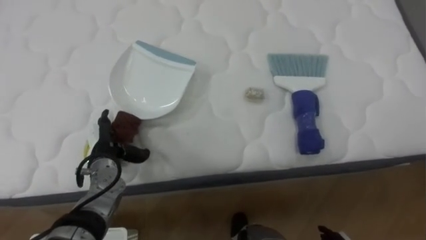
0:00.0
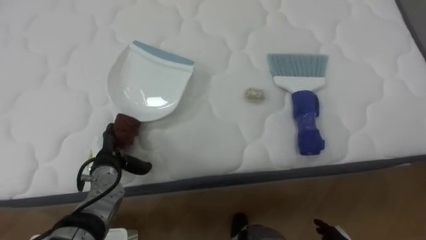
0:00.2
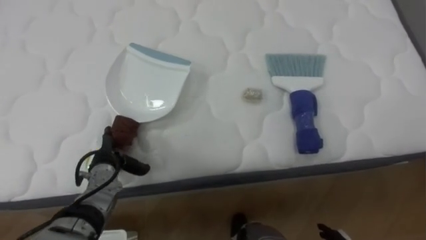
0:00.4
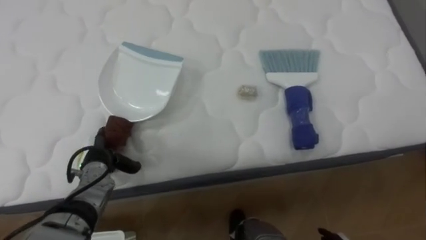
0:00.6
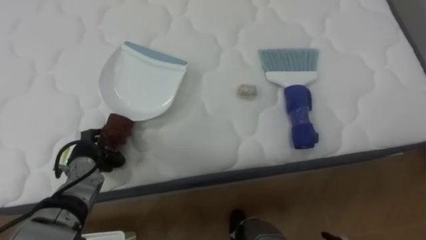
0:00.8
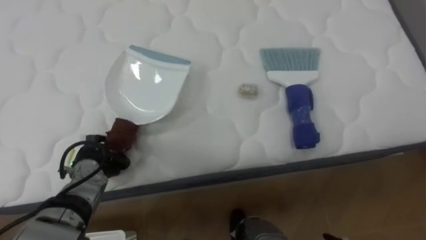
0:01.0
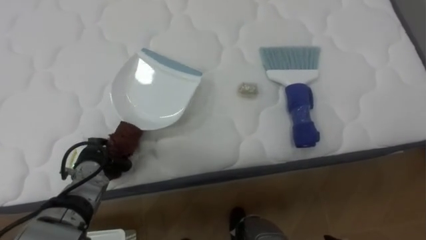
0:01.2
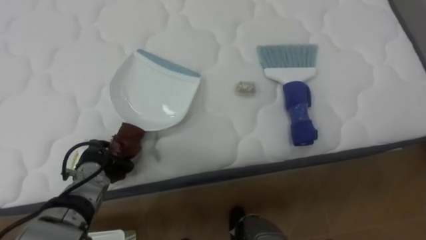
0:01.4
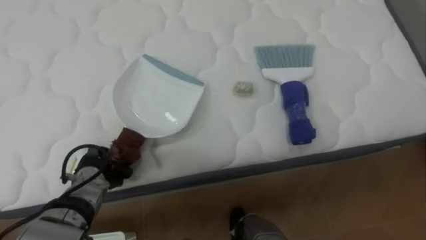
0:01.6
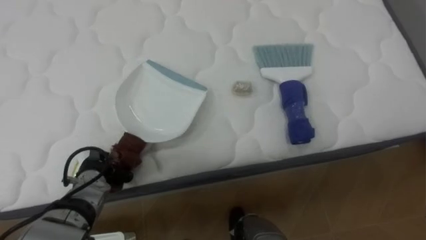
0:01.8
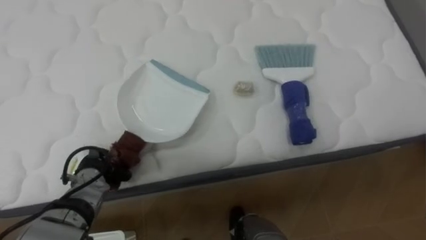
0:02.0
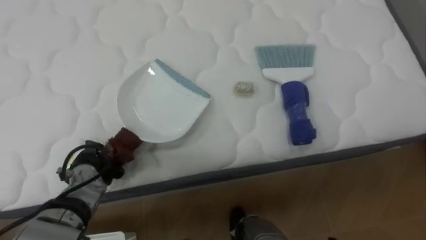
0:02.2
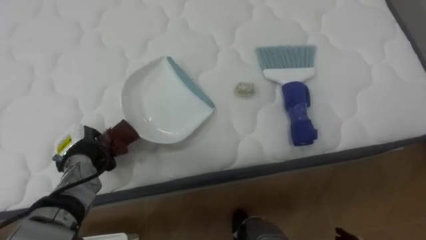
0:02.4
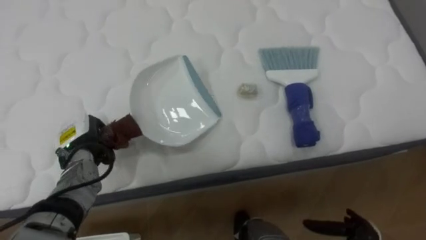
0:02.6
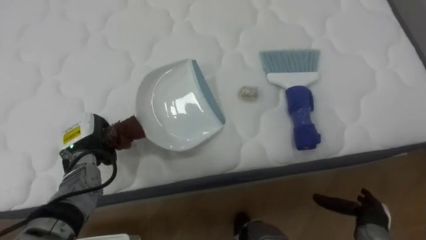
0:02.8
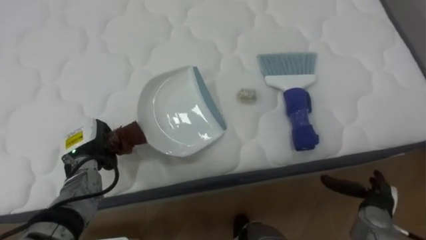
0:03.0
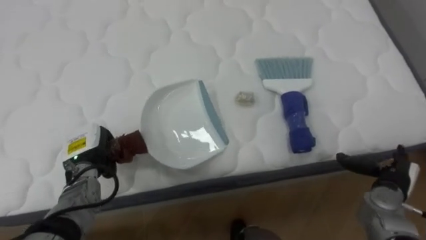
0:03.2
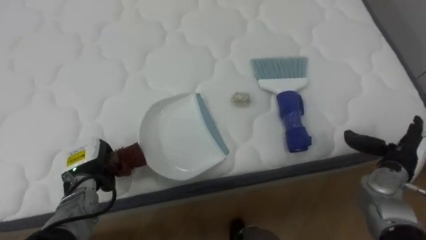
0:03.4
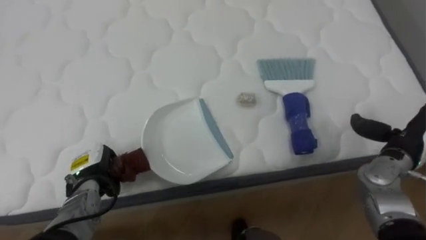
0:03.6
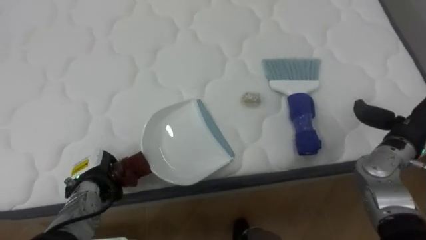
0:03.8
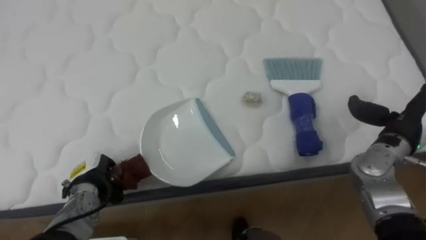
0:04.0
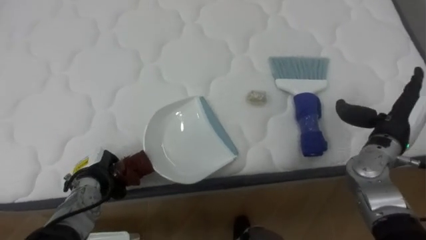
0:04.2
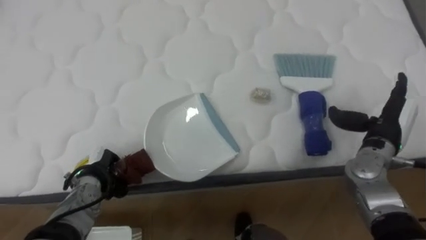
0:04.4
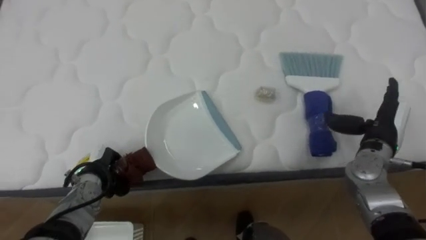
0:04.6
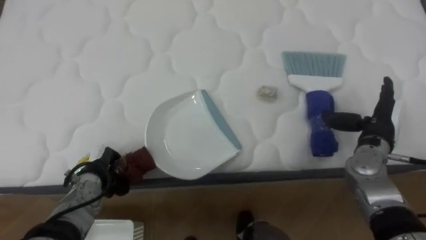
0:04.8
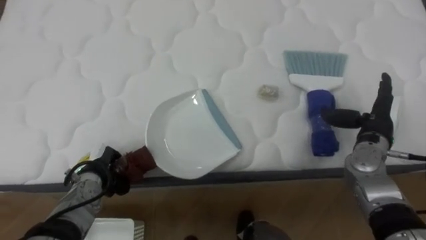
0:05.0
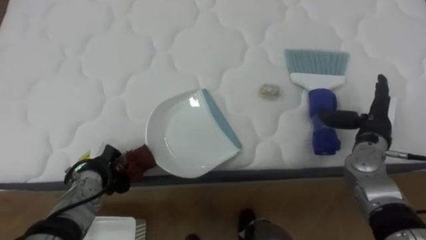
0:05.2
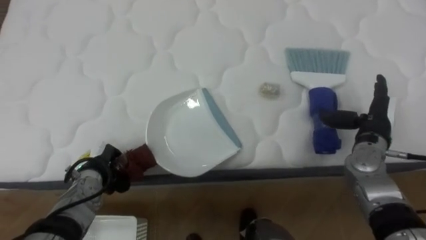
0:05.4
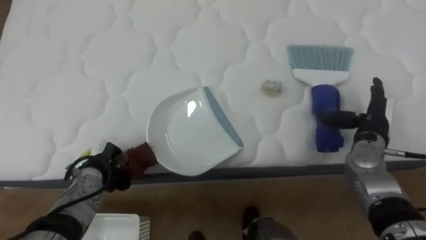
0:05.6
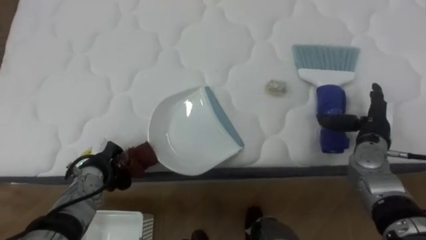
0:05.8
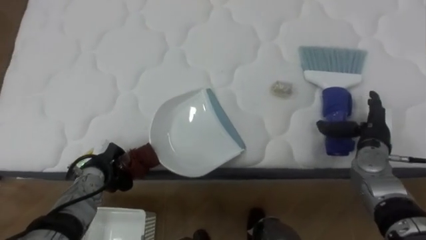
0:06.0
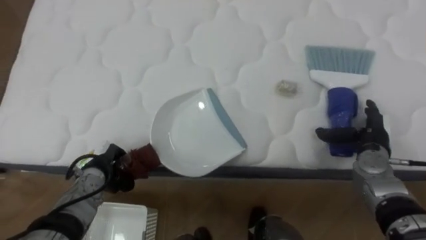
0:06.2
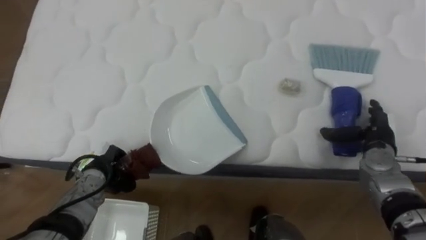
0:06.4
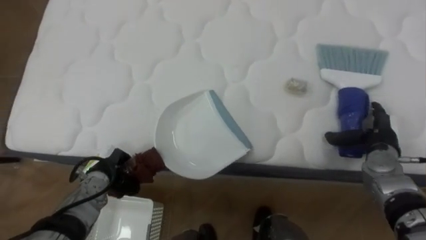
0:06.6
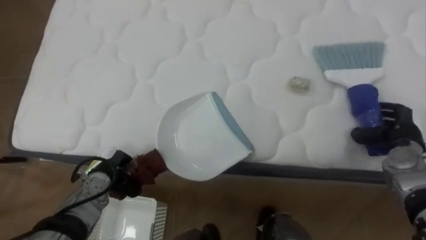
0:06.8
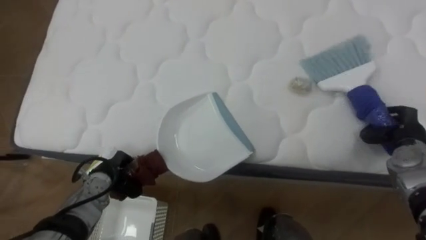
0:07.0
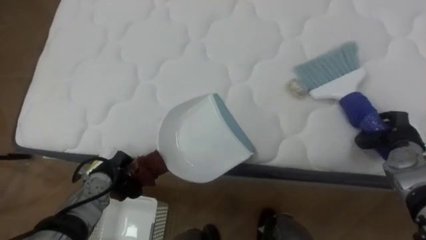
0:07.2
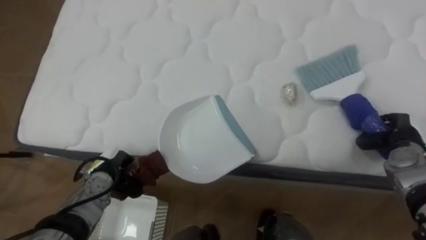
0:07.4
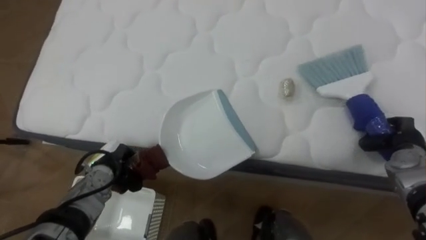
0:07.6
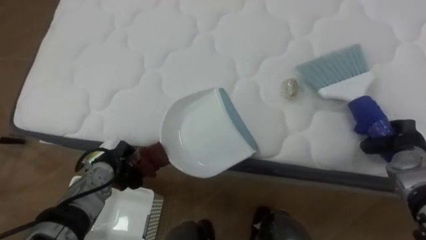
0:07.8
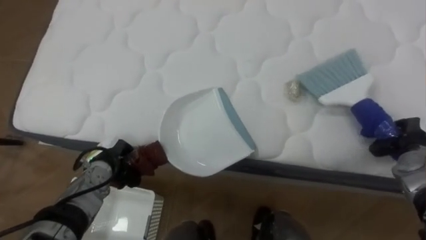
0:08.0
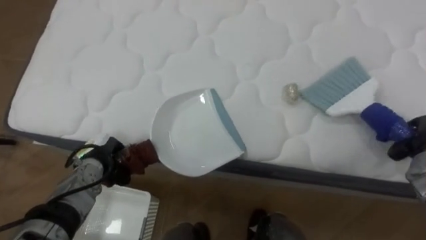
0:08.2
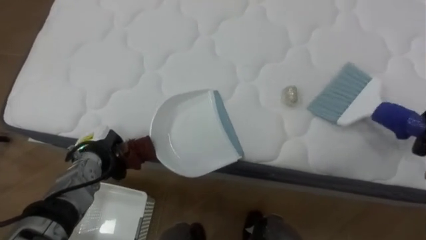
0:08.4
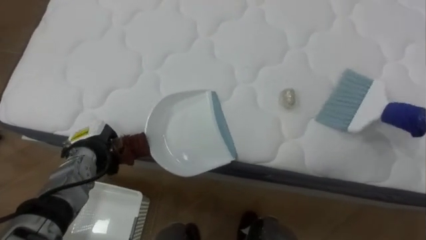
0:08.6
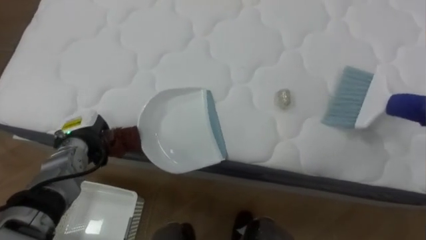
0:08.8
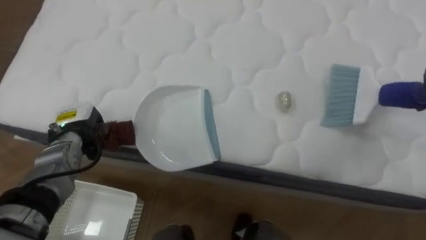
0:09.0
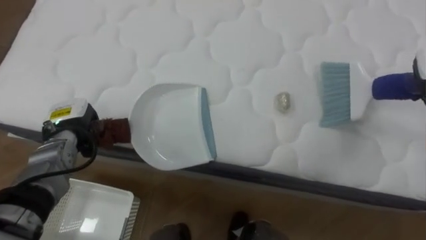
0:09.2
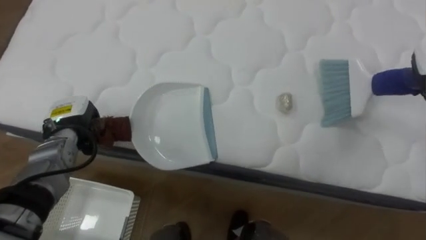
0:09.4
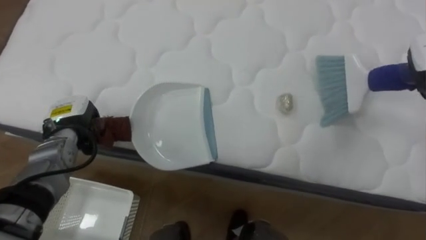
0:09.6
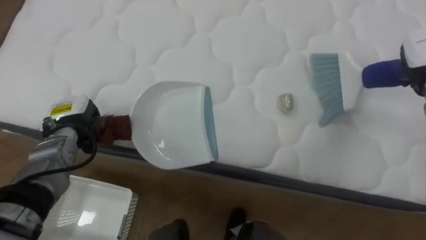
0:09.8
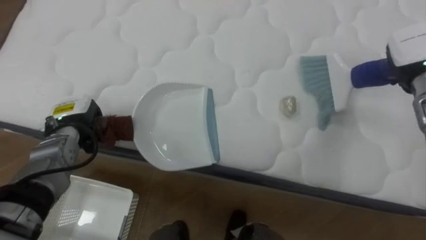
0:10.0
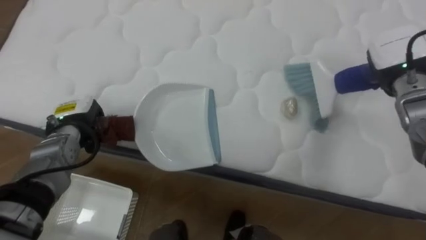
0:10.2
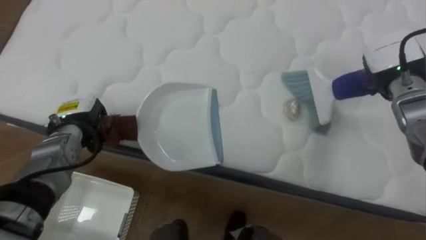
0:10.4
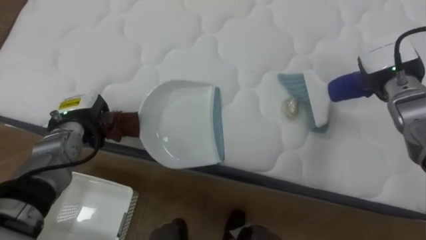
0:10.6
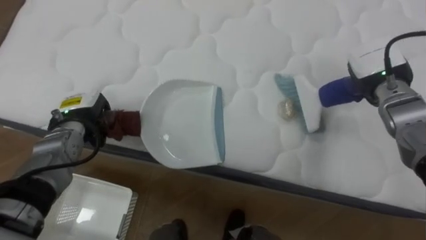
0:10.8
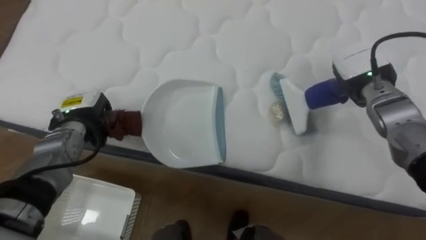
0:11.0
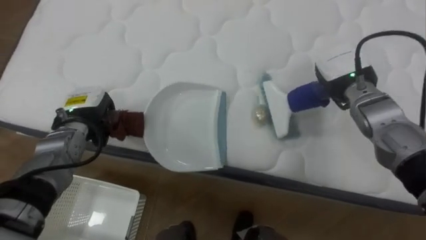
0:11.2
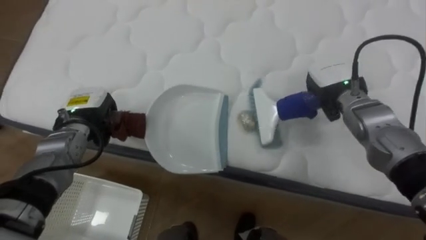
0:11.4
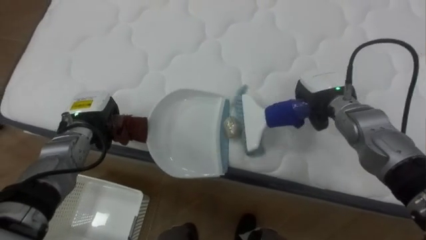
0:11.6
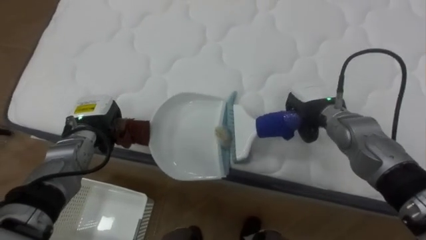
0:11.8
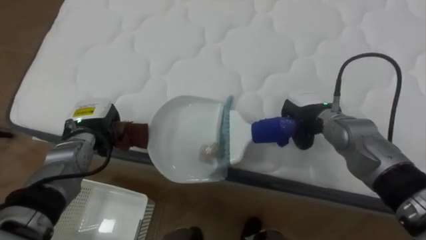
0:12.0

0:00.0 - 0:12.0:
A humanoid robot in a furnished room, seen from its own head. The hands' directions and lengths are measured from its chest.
Task of the whole recording: Pick up the brush on your right and the dustpan on your left. Use the brush to sweep the crumpled paper on the bed into the dustpan, then turn left and empty it into the basket.
0:00.0 - 0:01.6: The left hand shifts by roughly 5 cm, and closes its fingers.
0:01.6 - 0:03.0: The left hand changes place by some 5 cm.
0:03.0 - 0:04.4: The left hand travels downward by some 5 cm. Meanwhile the right hand heads upward and forward, covering roughly 15 cm.
0:06.0 - 0:07.6: The right hand travels to the right by roughly 5 cm, and closes its fingers.
0:07.6 - 0:09.0: The left hand heads upward and to the left, covering roughly 10 cm.
0:10.4 - 0:12.0: The right hand heads to the left and downward, covering about 15 cm.

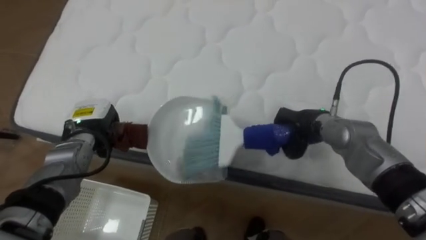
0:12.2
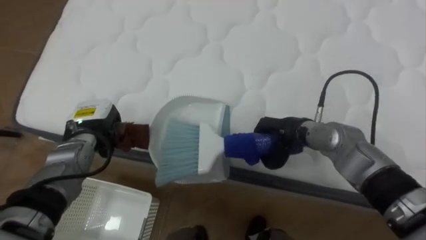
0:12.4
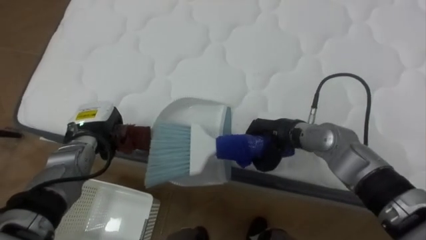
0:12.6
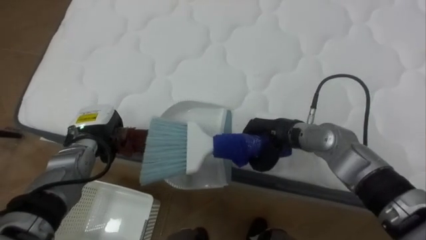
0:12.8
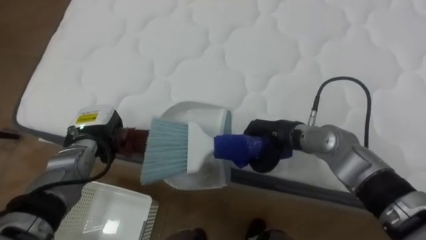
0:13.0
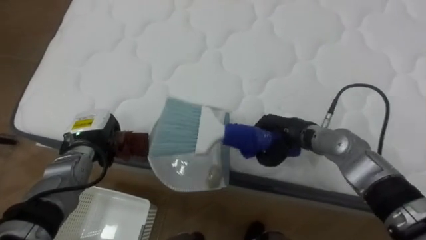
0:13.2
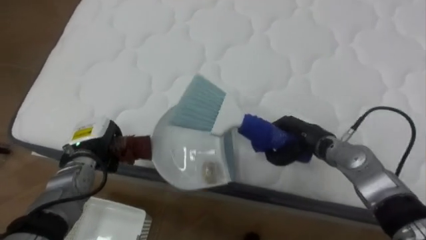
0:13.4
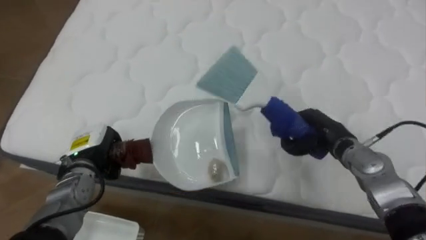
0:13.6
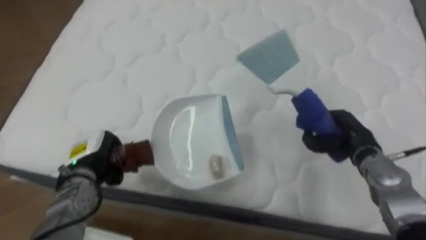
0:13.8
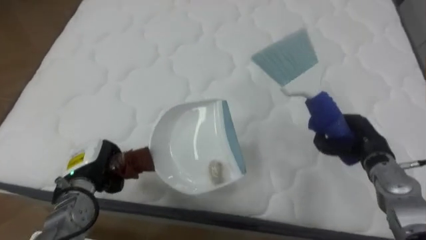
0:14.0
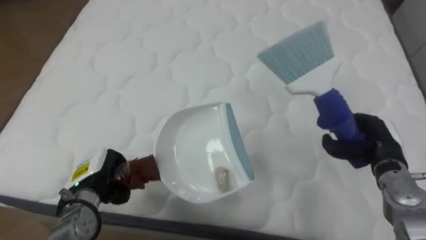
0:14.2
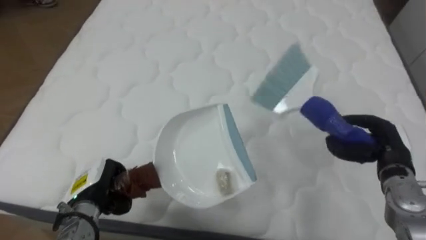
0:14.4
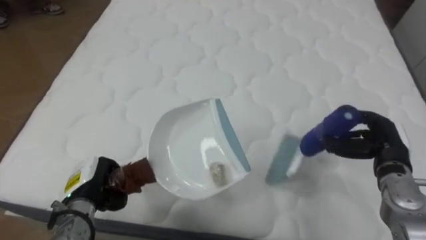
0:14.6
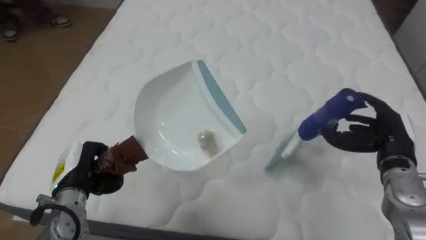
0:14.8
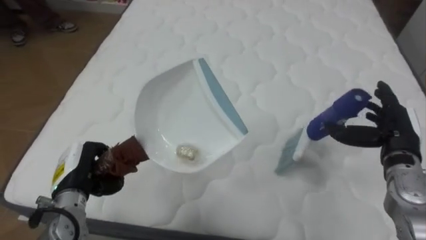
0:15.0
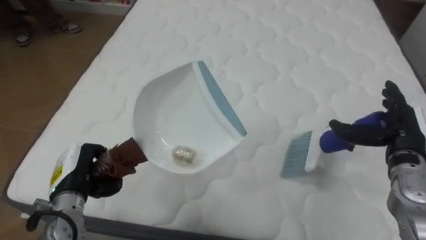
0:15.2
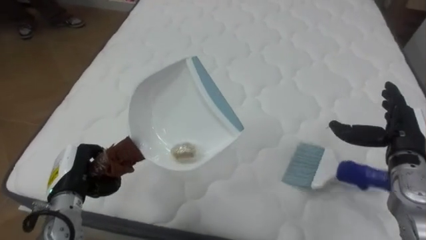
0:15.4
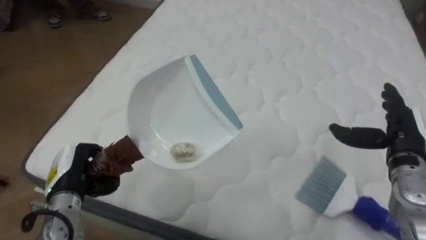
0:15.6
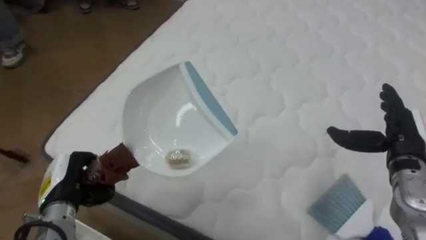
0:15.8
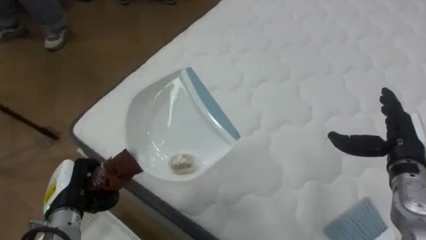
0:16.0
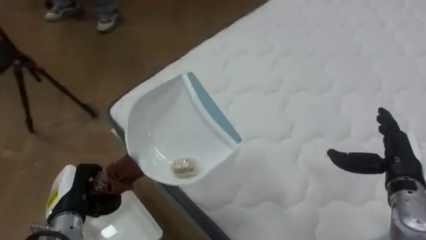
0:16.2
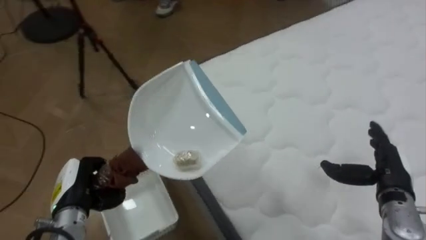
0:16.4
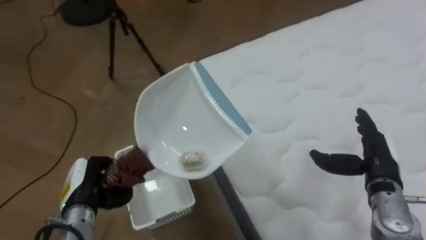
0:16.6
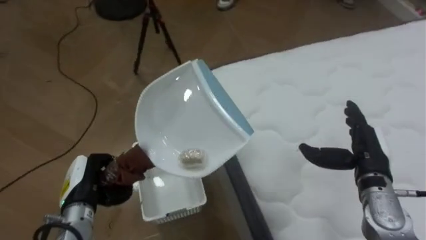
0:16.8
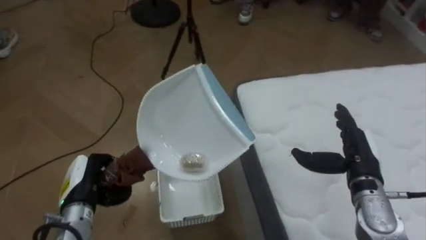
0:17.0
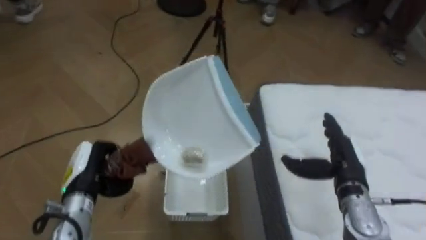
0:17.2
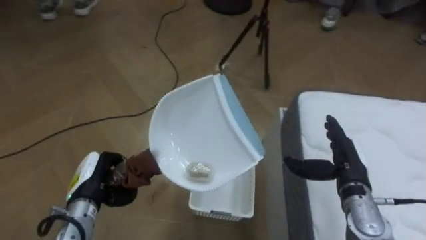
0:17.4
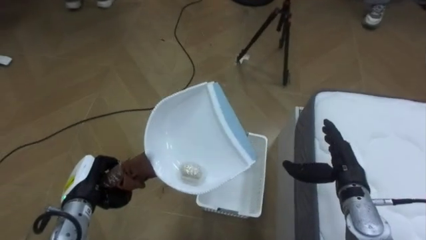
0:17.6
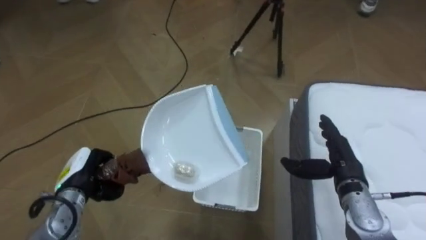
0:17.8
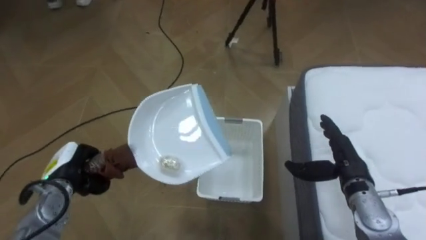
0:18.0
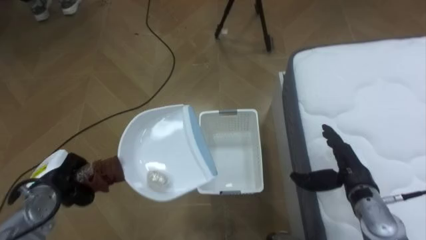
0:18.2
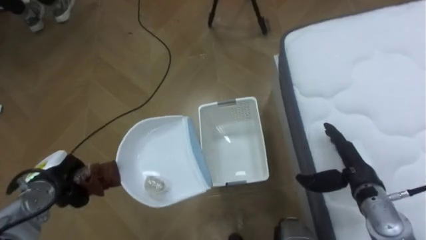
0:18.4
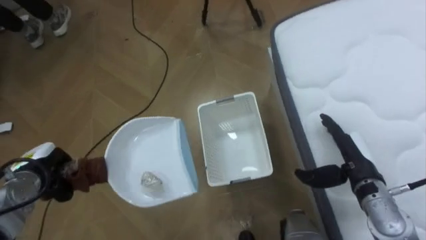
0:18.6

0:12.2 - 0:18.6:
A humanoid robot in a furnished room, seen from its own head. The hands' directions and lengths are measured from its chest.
Task of the whole recording: Pick up the brush on your right and the dustpan on your left. Use the brush to sweep the crumpled paper on the bed into the dustpan, then turn left and empty it into the basket.
0:12.2 - 0:13.8: The left hand travels backward by about 5 cm. Meanwhile the right hand shifts some 10 cm to the right.
0:13.8 - 0:15.4: The right hand goes approximately 10 cm to the right and upward, and opens its fingers. Meanwhile the left hand goes approximately 5 cm backward.
0:15.4 - 0:17.0: The robot rotates approximately 60 degrees to its left. The right hand is displaced to the left by approximately 5 cm.
0:17.0 - 0:18.6: The left hand travels to the left by approximately 10 cm.
